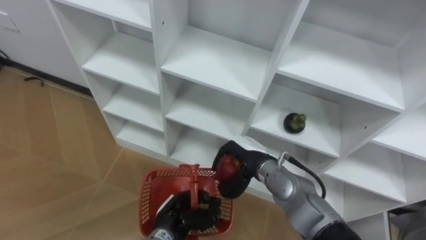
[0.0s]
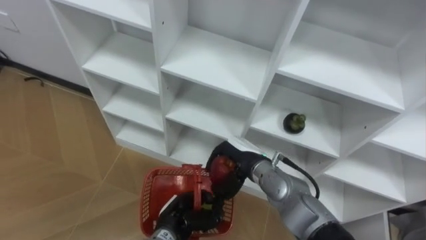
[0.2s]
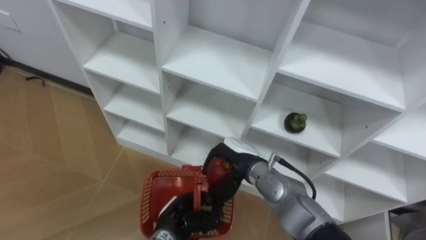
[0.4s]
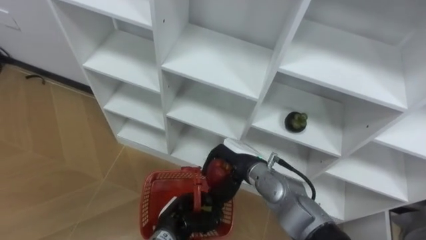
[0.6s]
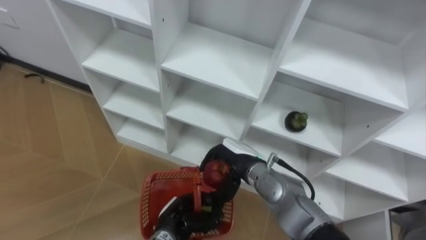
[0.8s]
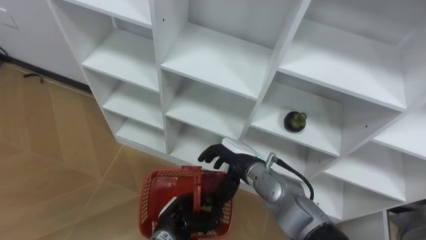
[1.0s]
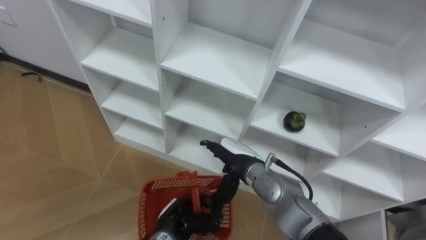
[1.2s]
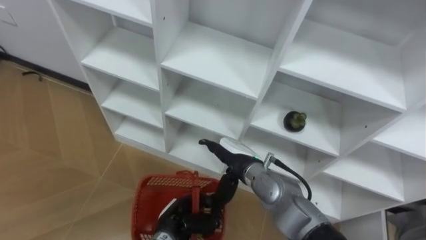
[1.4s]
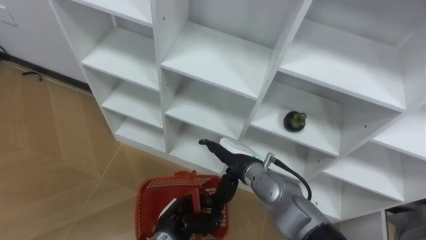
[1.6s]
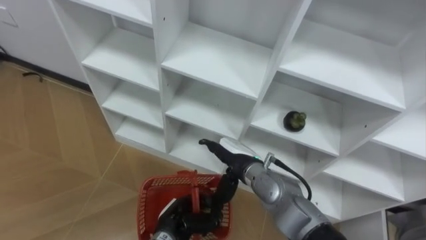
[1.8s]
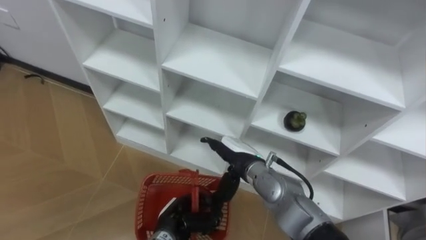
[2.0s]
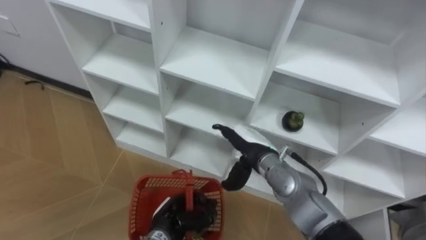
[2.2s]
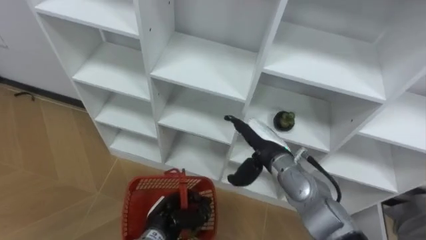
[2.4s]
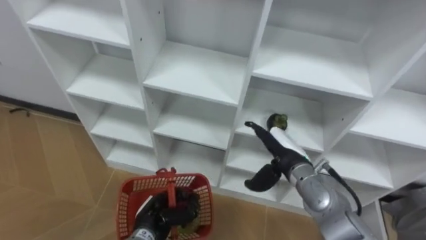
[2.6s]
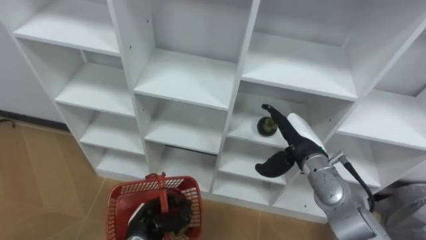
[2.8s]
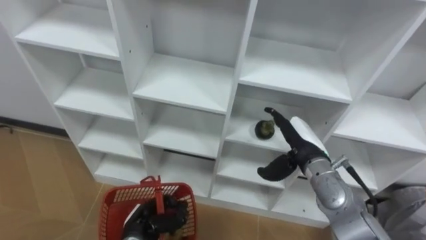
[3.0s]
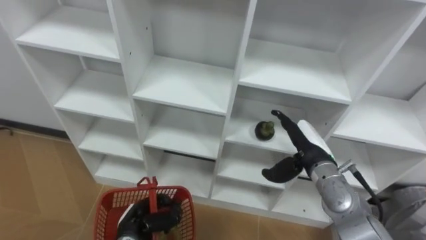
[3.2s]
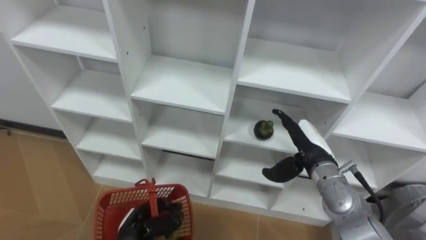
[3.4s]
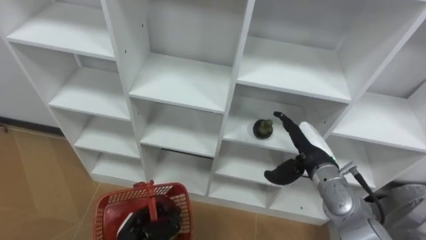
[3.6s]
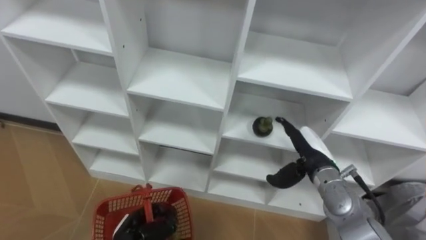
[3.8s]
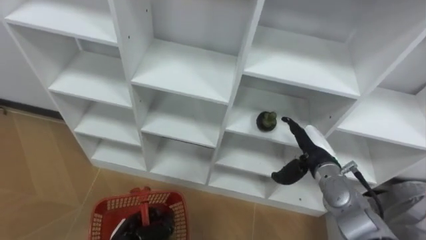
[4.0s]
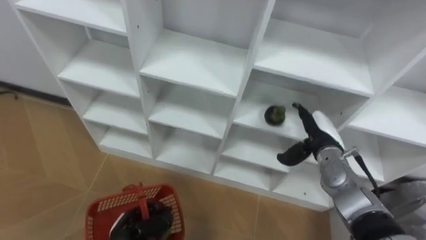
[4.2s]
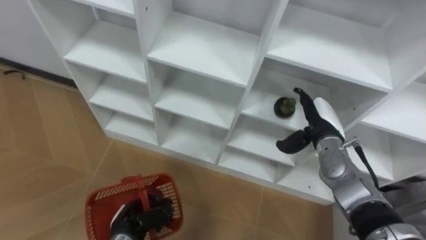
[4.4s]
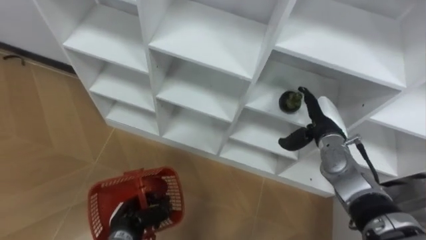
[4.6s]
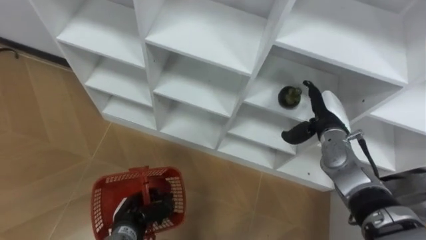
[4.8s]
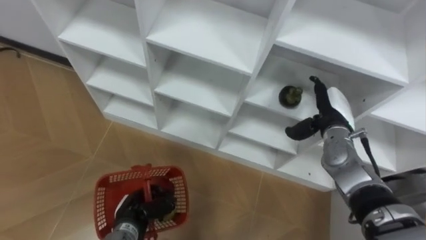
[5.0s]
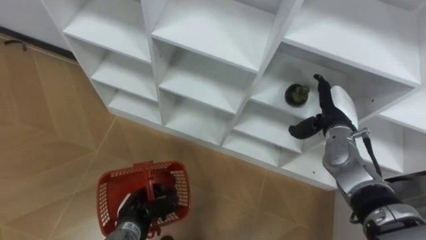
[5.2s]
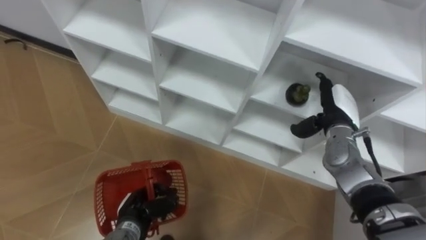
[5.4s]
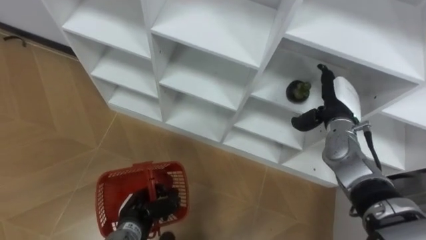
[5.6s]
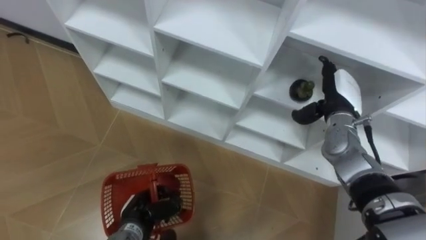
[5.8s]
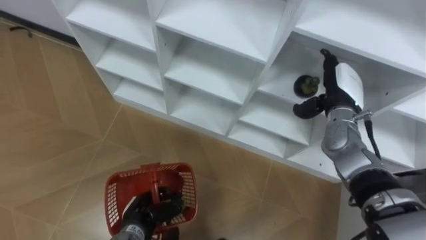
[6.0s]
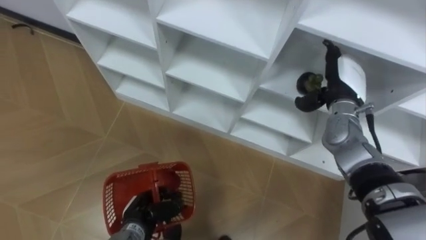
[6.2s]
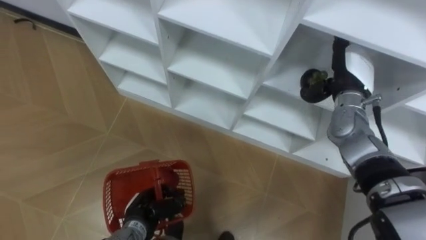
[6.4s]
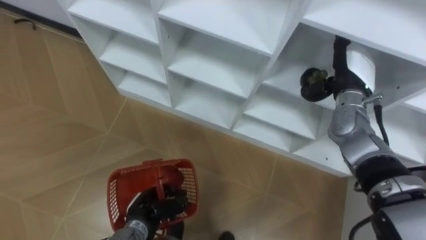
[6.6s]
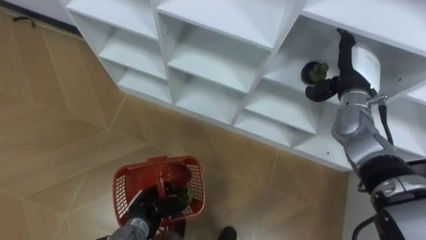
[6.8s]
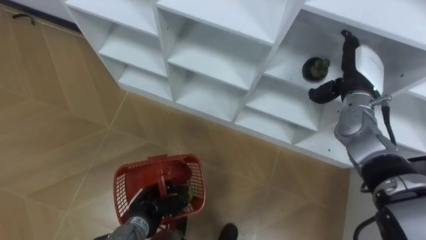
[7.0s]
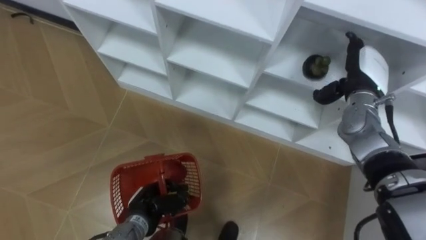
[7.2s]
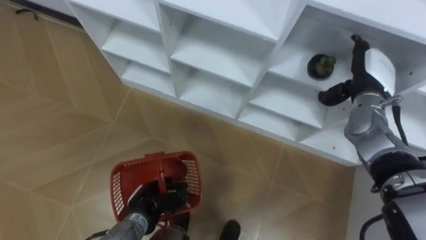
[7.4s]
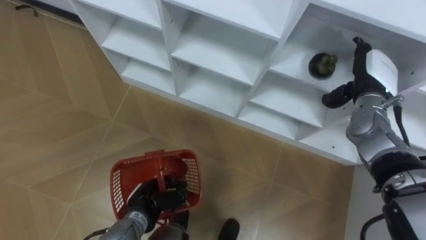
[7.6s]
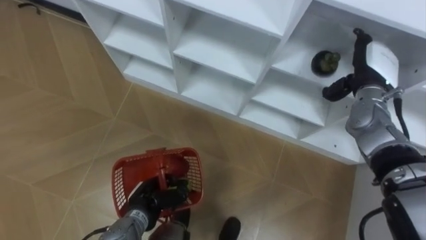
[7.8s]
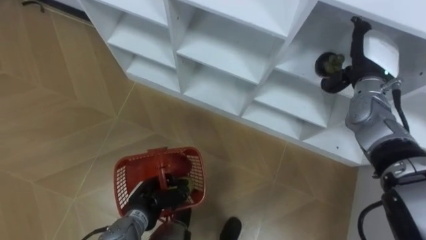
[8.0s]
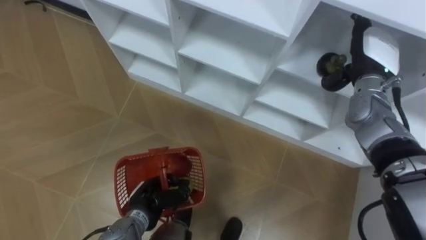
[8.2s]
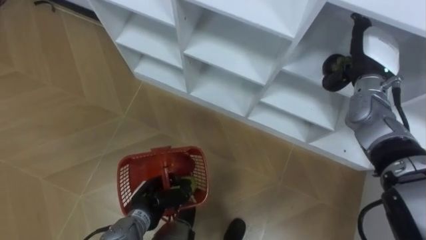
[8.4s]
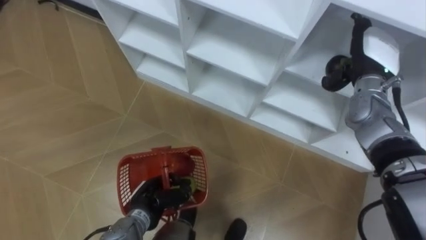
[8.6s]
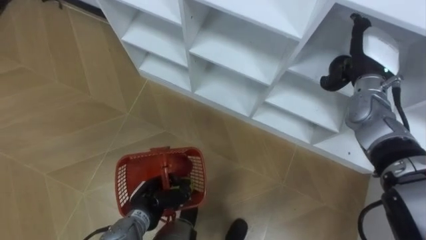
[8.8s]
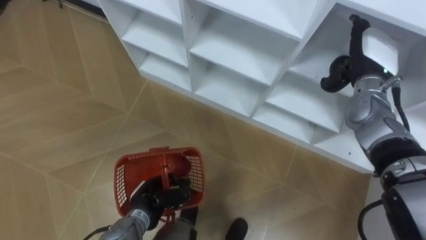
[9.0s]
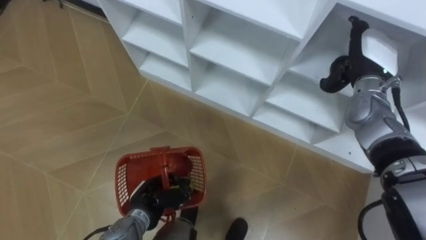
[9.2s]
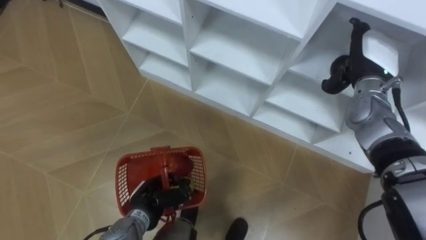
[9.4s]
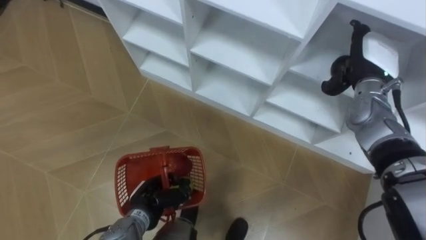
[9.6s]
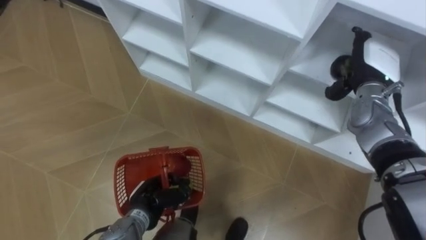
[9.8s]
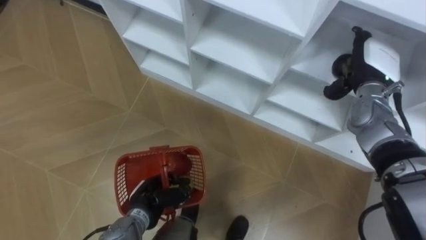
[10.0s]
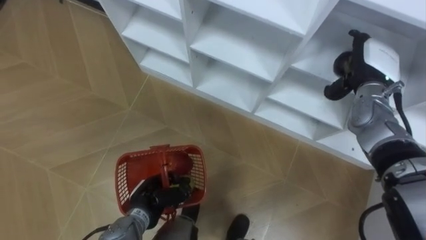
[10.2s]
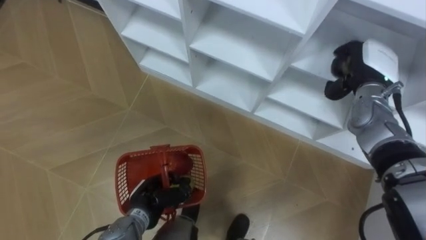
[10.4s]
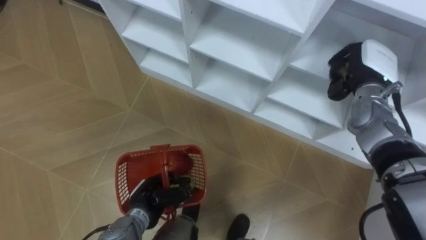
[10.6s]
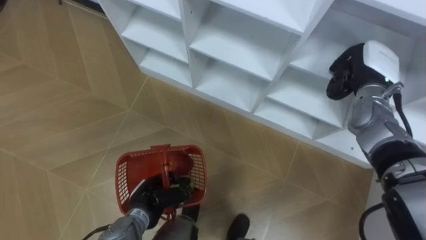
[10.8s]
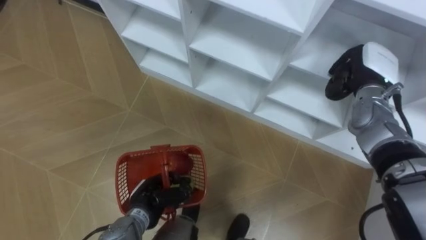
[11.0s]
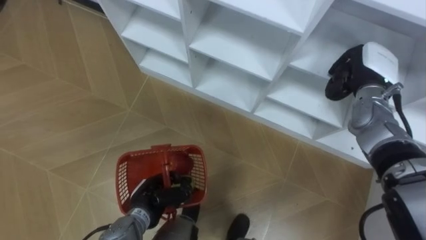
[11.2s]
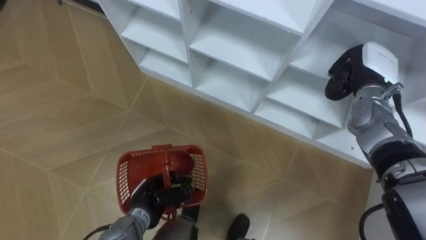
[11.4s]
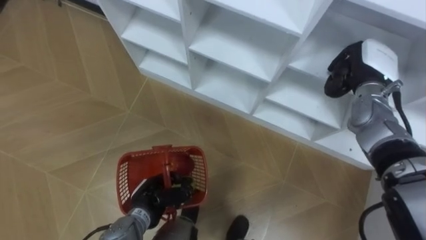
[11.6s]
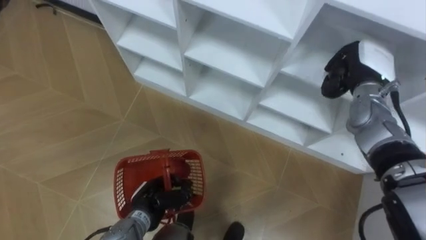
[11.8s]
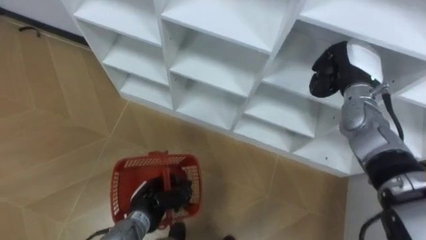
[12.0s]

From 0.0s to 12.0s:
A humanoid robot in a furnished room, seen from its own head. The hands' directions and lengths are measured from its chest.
Task of the whole recording: Hold the basket and collect the fruits from 3 different cells of the closet into it.
From 0.0s to 1.6s: The right hand opens its fingers.
From 1.6s to 3.0s: The right hand travels to the right by some 15 cm, while the left hand shifts roughly 5 cm to the left.
From 3.0s to 4.4s: The right hand moves roughly 5 cm.
From 4.4s to 6.0s: The right hand travels upward by roughly 5 cm.
From 6.0s to 7.6s: The right hand changes place by some 5 cm.
From 9.0s to 10.4s: There are only small adjustments of the hands.
From 10.4s to 12.0s: The right hand closes.

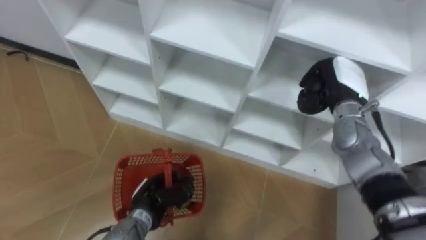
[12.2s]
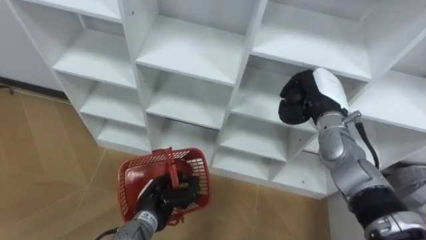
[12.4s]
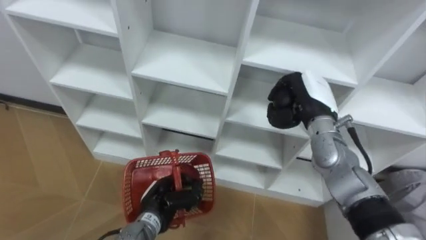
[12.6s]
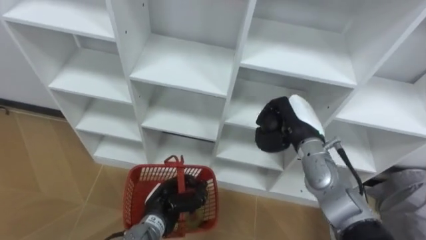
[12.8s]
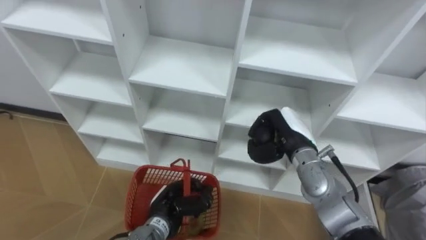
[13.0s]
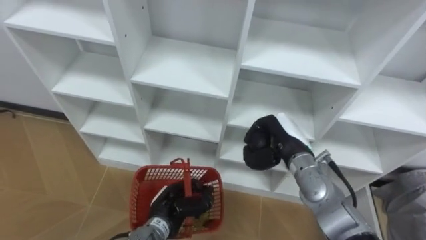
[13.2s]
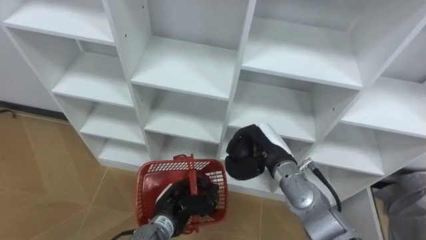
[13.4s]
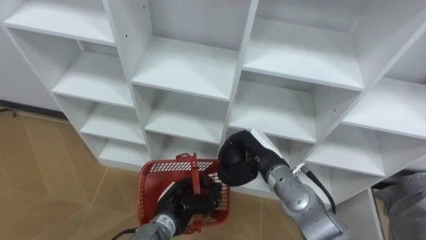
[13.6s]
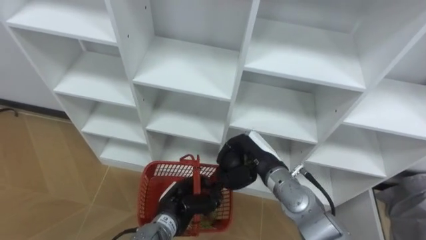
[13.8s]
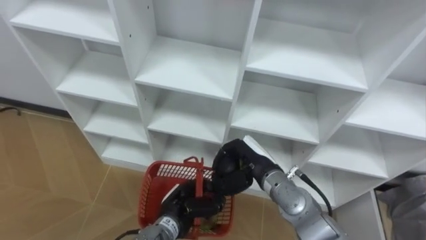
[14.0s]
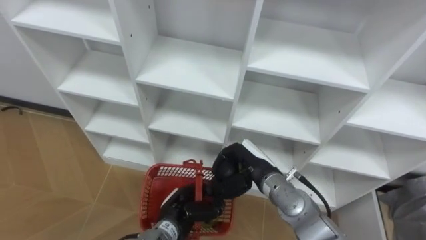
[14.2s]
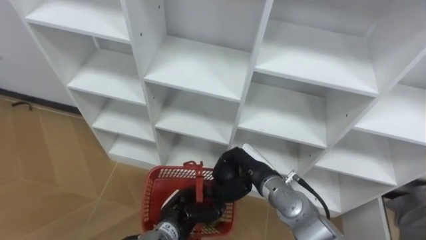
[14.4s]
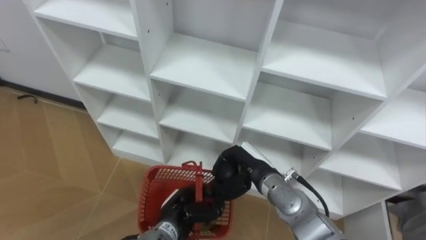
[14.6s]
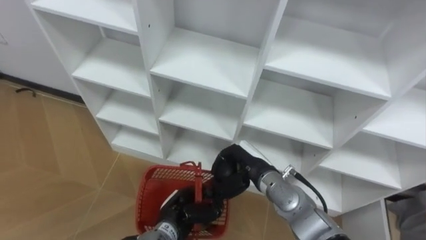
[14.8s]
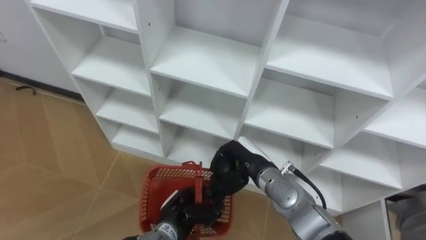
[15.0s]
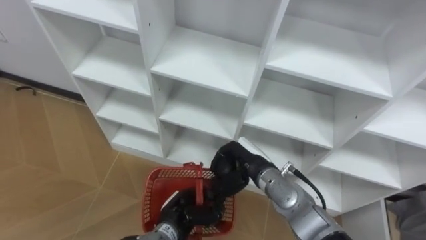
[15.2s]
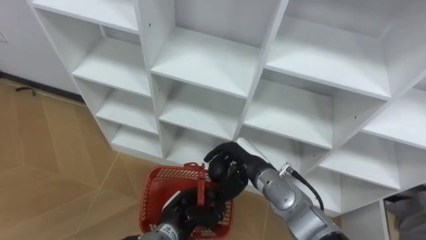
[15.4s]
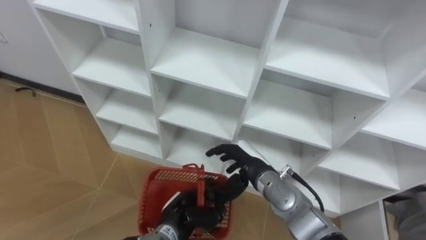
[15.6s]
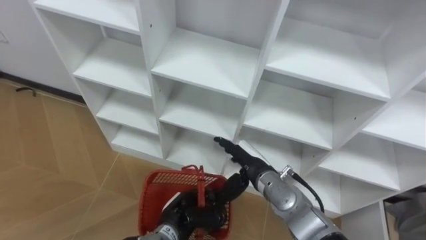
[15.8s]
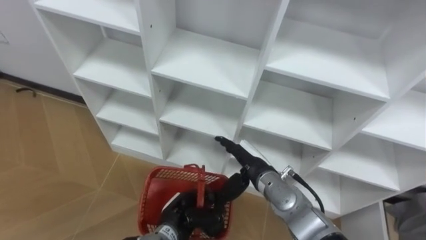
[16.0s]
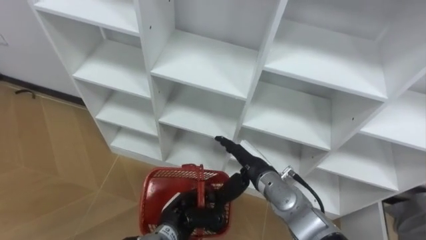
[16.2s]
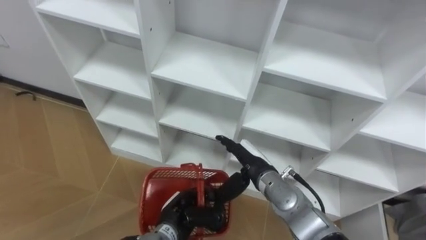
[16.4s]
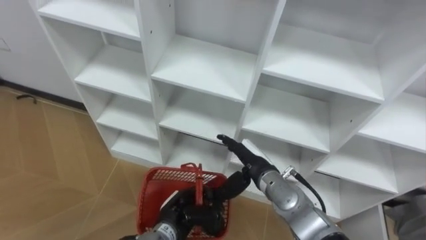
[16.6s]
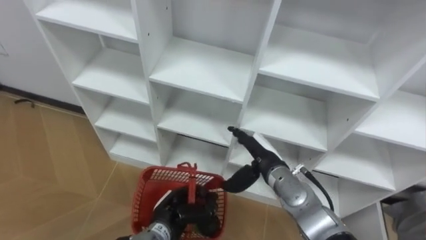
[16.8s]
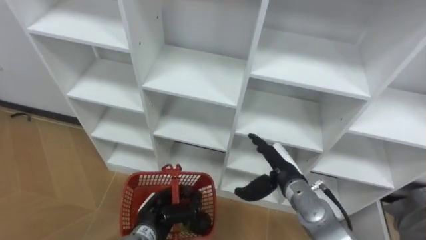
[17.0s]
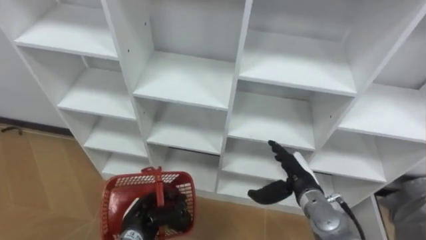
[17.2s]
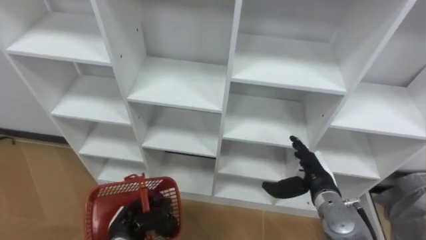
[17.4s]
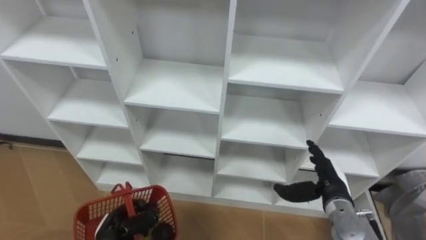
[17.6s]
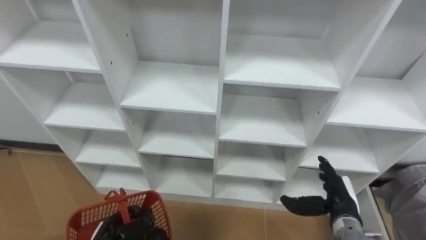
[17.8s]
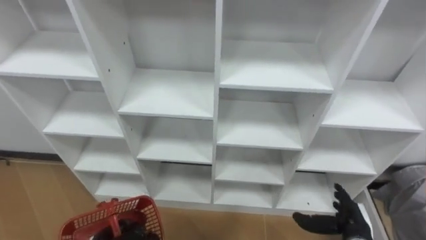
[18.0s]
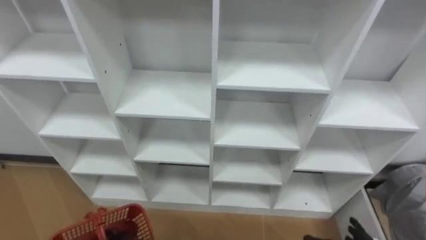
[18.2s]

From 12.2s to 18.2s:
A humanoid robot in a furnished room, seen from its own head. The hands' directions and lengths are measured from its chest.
Task of the whole recording: Hold the basket and collect the fruits from 3 different cells of the closet into it.
From 12.2s to 13.8s: The left hand goes roughly 5 cm to the right. The right hand travels to the left, backward and downward by some 20 cm.
From 15.2s to 16.6s: The right hand opens.
